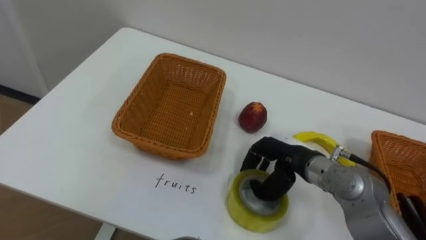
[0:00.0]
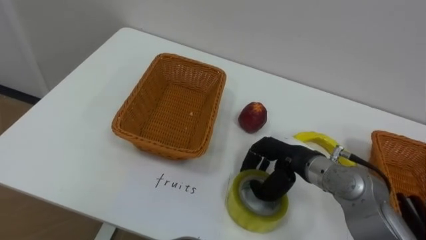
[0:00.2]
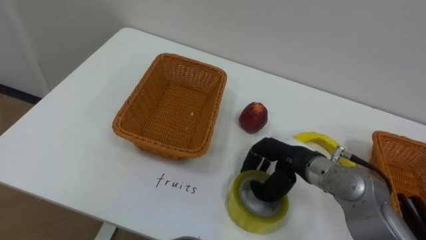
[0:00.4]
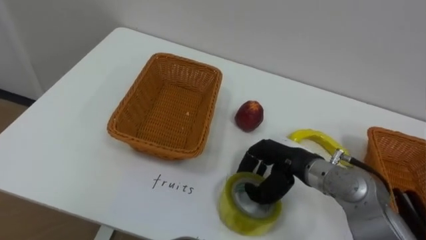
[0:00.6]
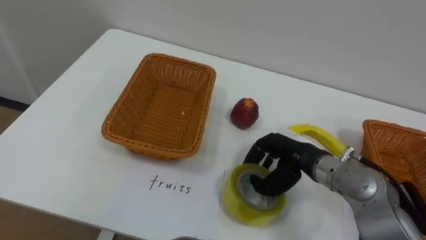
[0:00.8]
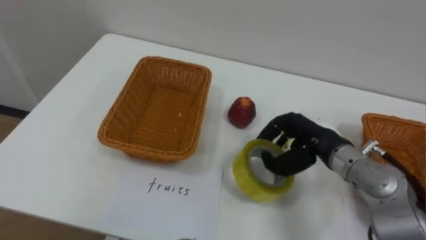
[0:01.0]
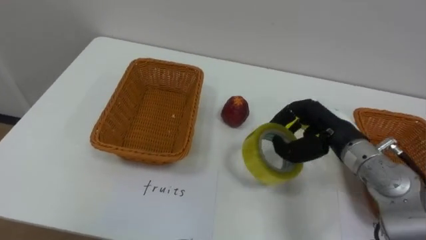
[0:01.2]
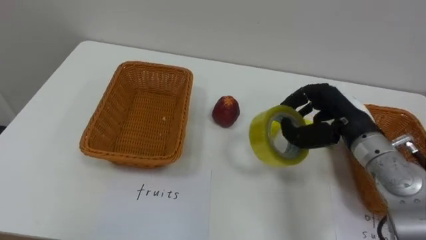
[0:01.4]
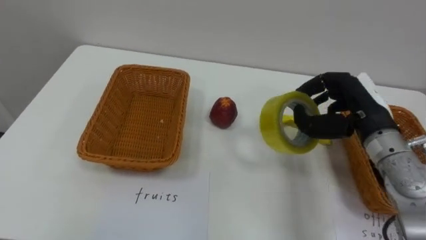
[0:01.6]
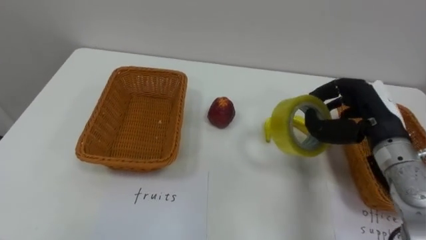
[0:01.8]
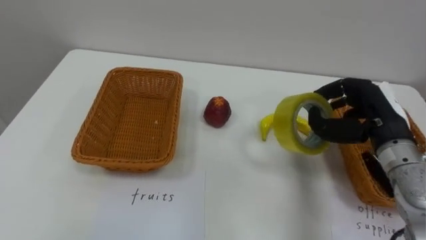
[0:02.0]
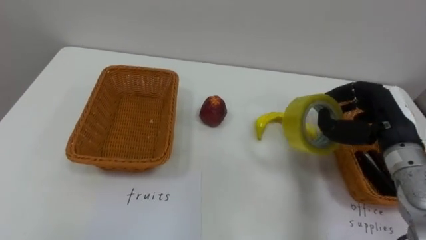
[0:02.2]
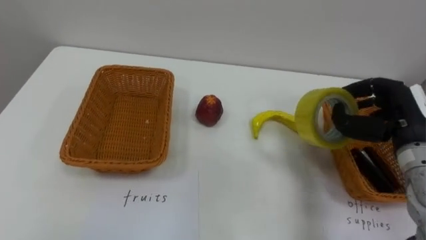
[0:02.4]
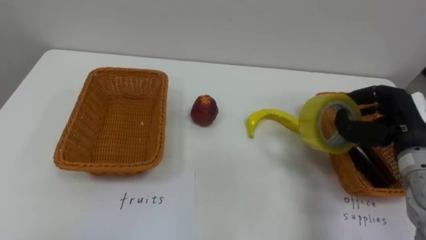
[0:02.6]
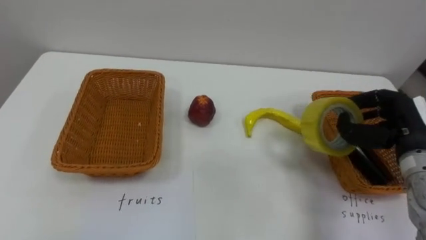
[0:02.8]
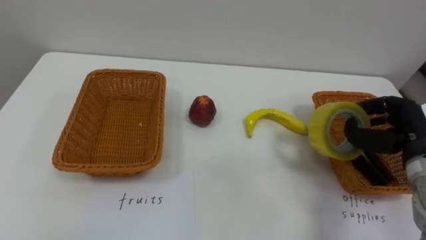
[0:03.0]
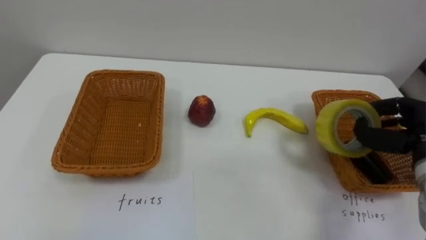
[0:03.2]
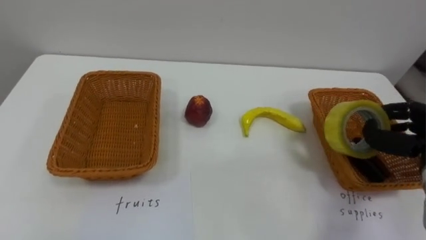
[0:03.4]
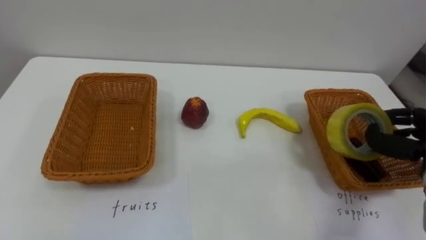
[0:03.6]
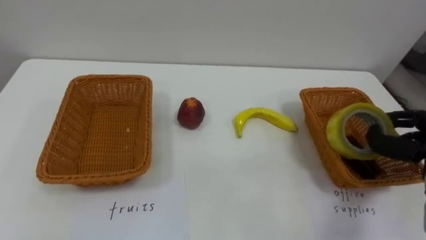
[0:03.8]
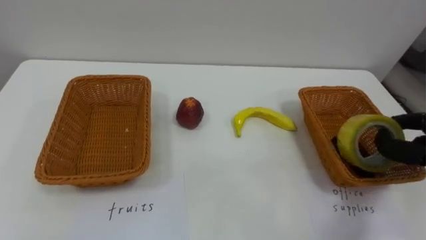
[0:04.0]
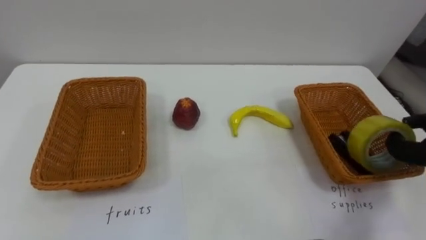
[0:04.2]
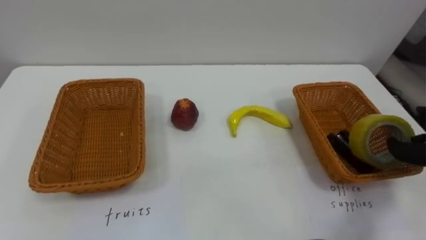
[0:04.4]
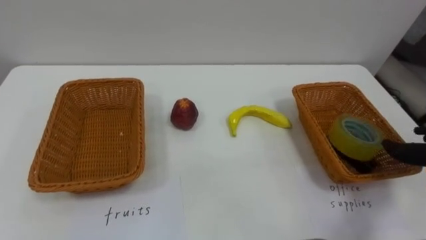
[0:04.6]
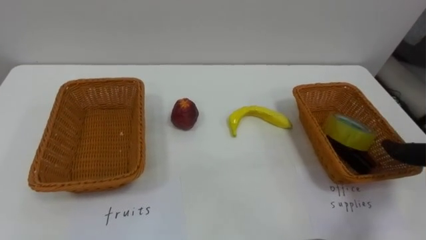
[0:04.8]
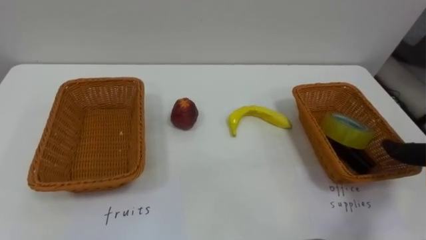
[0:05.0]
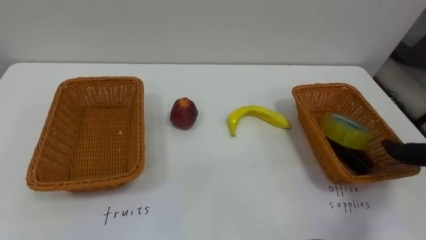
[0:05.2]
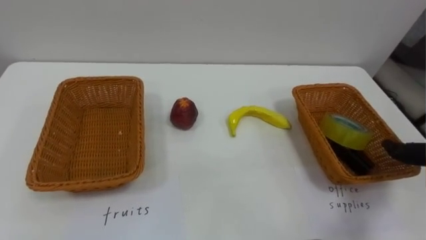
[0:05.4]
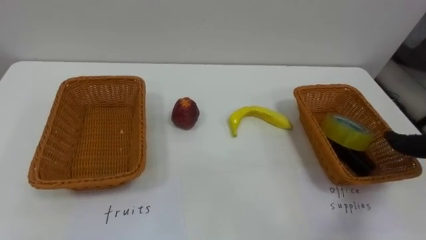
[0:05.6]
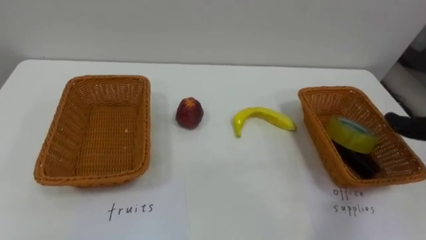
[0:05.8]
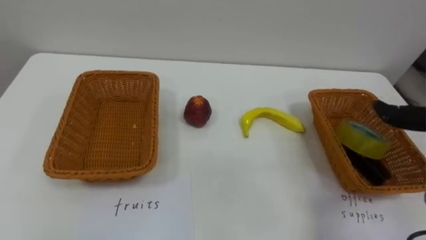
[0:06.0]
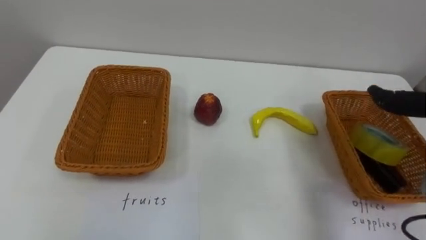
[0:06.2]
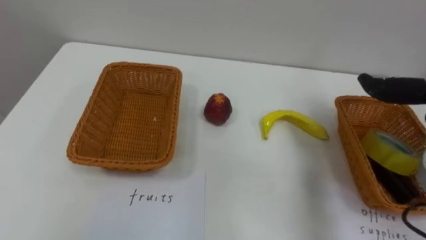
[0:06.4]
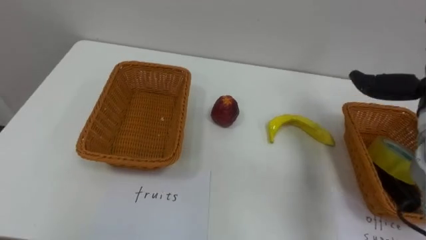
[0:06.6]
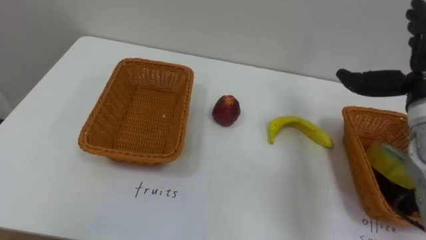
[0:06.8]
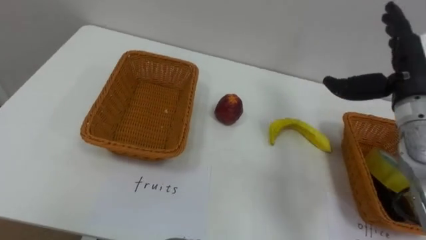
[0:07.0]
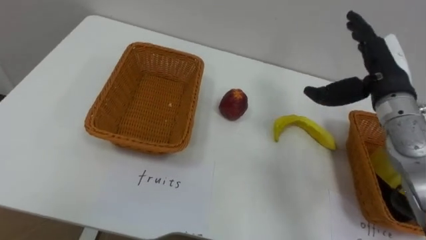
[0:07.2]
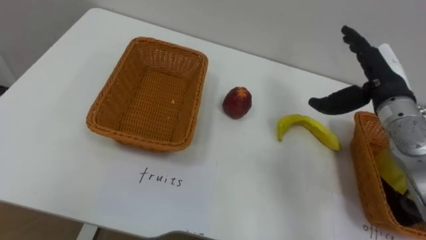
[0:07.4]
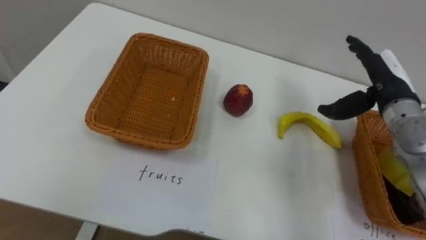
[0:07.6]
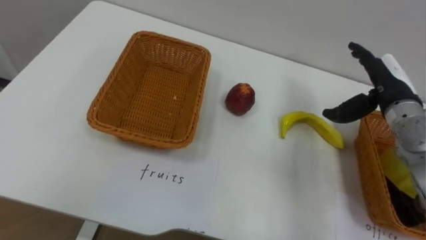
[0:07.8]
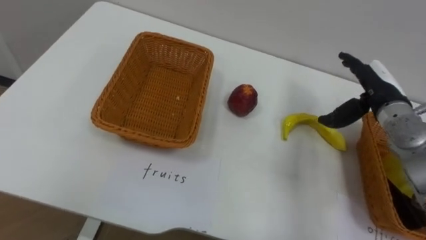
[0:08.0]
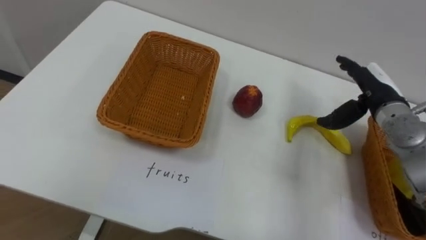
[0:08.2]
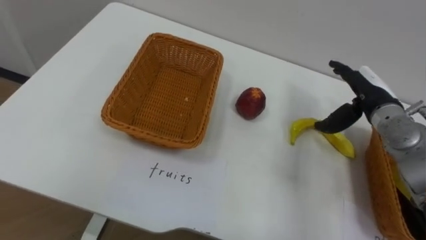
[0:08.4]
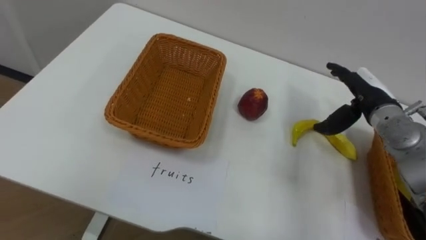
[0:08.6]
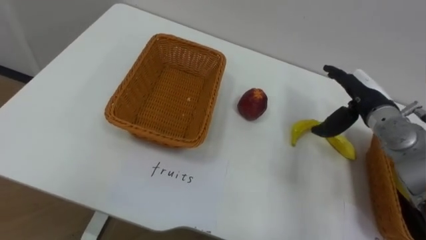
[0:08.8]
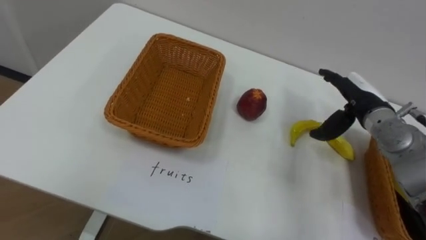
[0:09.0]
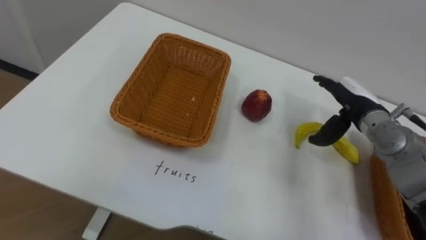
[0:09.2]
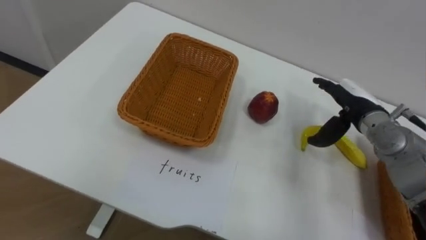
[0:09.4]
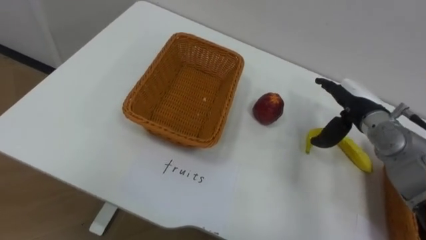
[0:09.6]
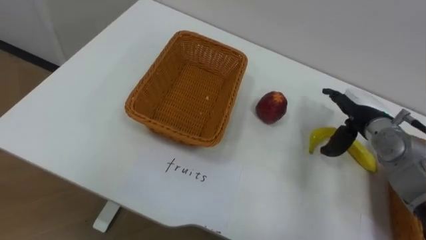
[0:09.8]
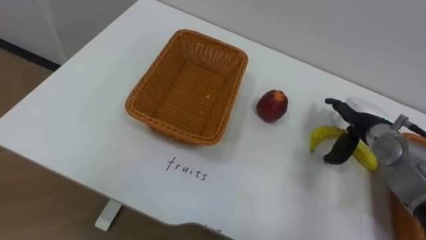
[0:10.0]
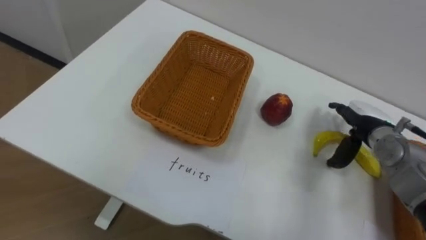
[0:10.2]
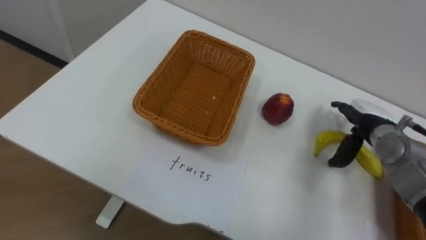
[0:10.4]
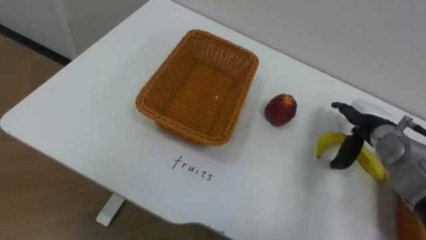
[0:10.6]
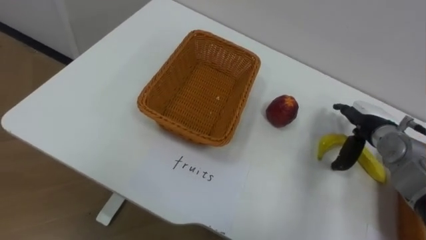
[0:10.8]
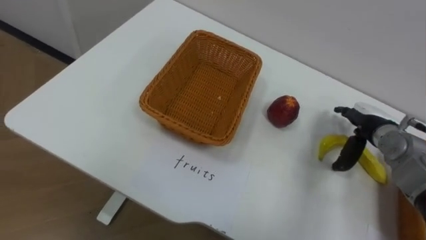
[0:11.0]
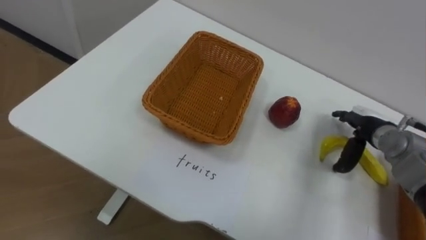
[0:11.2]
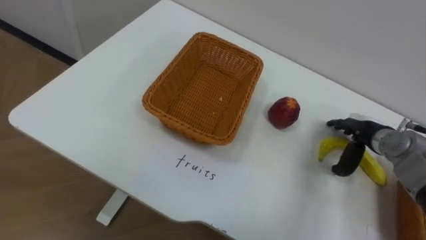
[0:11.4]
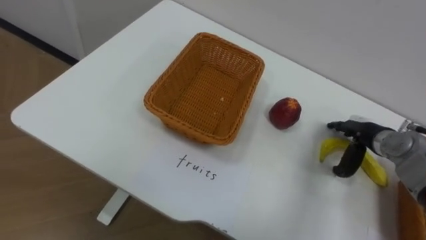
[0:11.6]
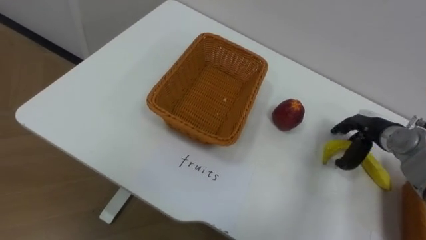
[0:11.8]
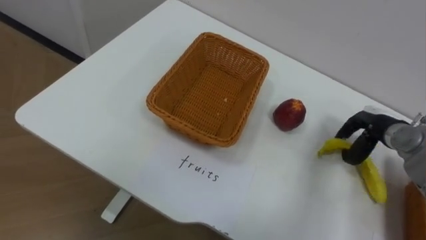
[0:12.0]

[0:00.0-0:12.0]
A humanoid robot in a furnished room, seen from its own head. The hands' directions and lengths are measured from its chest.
Task of the whole recording: Separate the items on the table and place them into the two baskets.
0:00.0 to 0:01.6: The right hand moves to the right and upward, roughly 15 cm.
0:01.6 to 0:03.0: The right hand travels to the right by about 10 cm.
0:07.6 to 0:09.0: The right hand shifts by some 5 cm.
0:09.0 to 0:10.4: The right hand travels downward by about 5 cm.
0:10.4 to 0:12.0: The right hand closes its fingers.

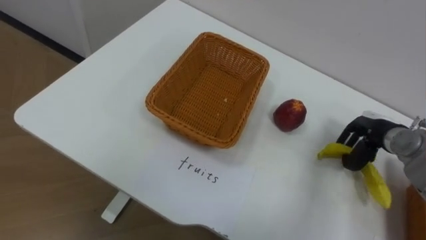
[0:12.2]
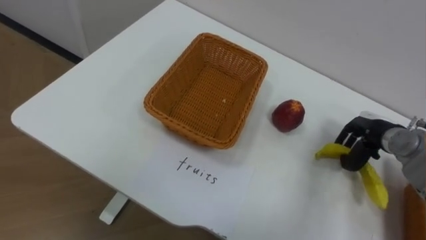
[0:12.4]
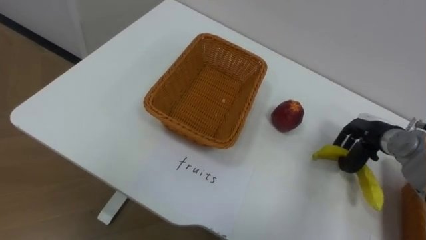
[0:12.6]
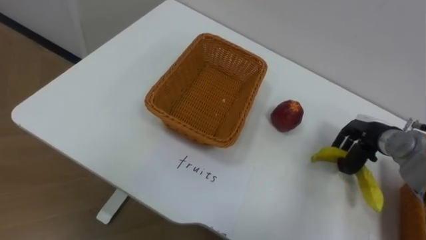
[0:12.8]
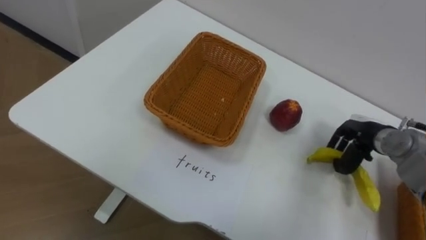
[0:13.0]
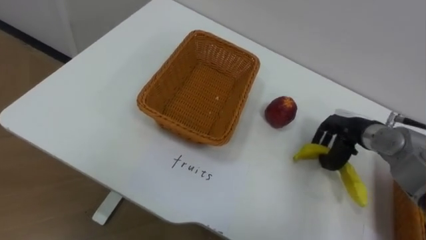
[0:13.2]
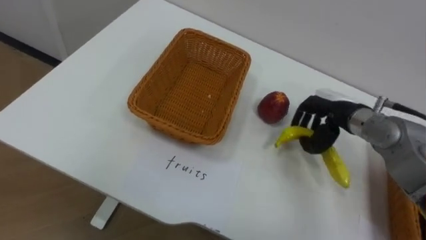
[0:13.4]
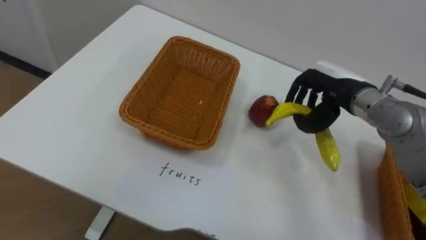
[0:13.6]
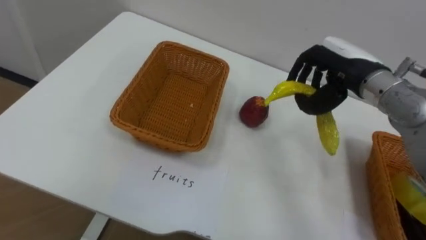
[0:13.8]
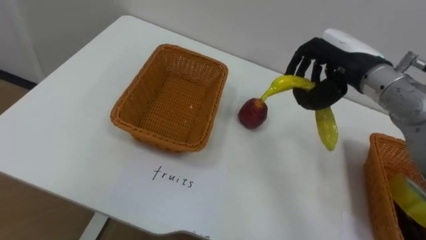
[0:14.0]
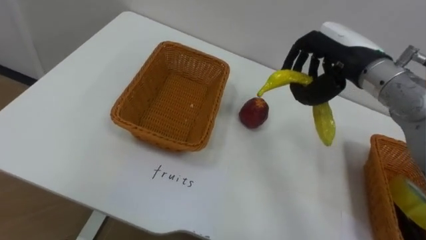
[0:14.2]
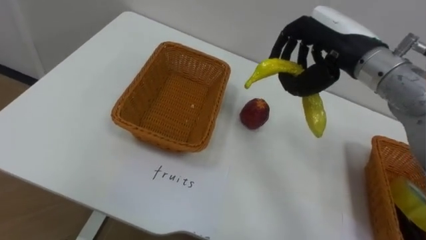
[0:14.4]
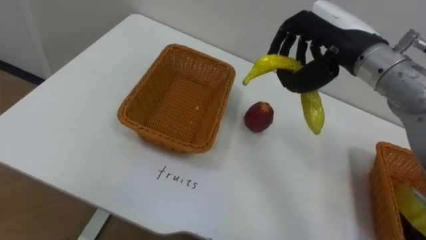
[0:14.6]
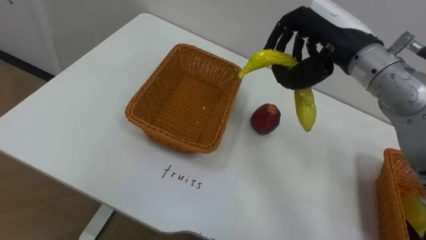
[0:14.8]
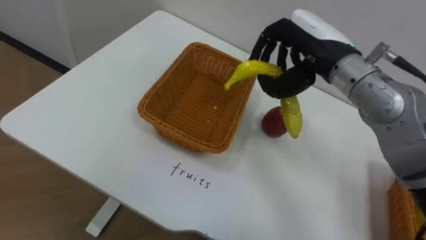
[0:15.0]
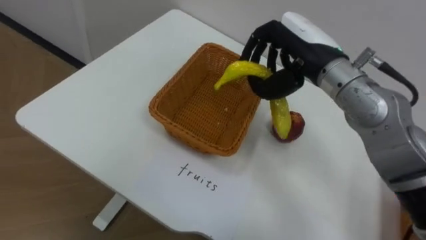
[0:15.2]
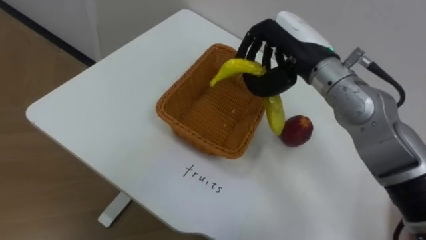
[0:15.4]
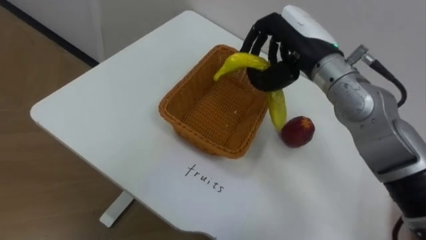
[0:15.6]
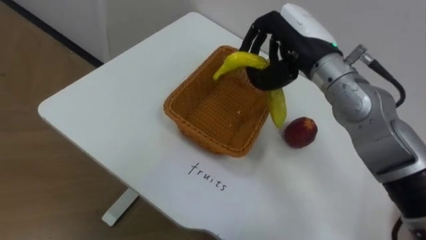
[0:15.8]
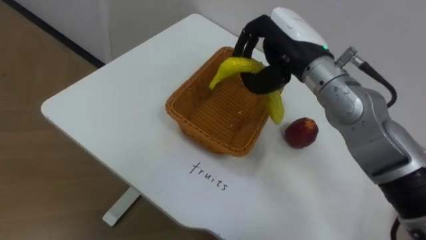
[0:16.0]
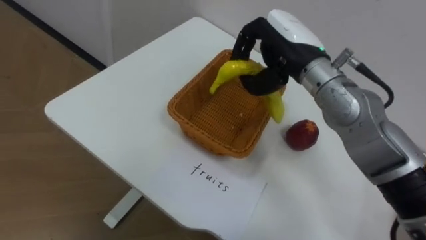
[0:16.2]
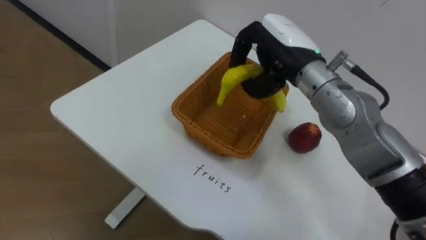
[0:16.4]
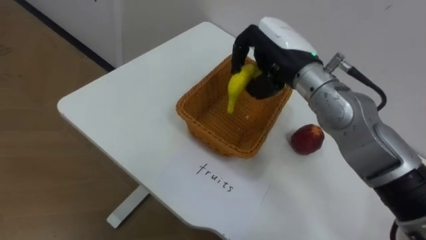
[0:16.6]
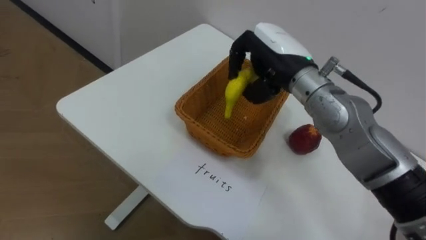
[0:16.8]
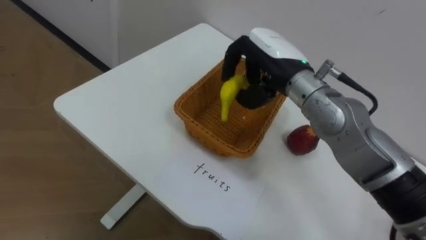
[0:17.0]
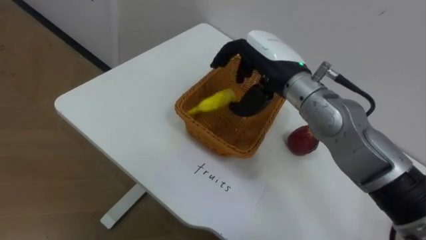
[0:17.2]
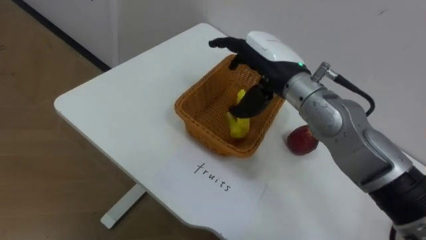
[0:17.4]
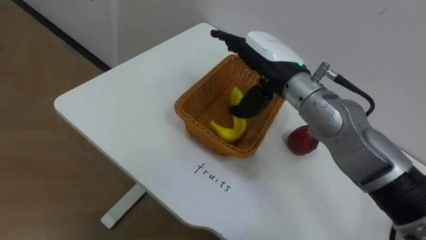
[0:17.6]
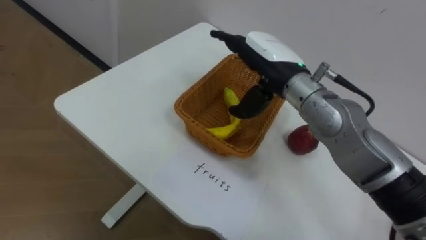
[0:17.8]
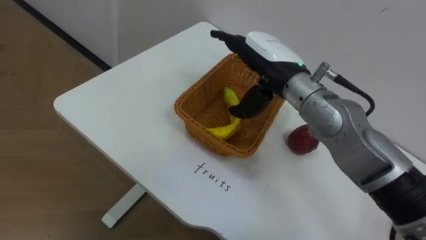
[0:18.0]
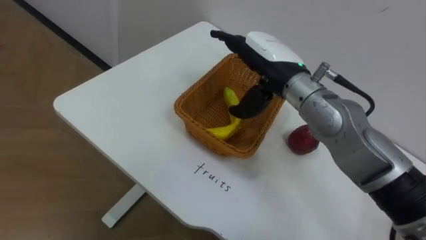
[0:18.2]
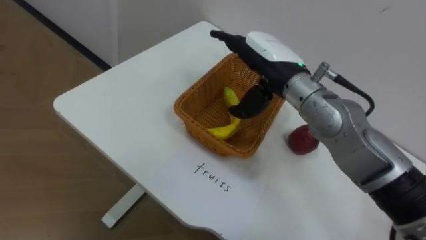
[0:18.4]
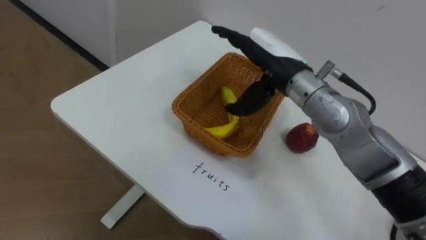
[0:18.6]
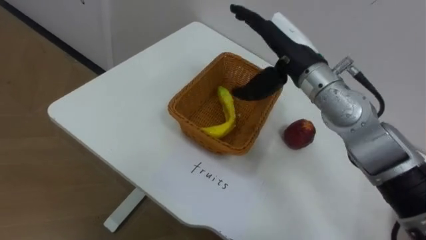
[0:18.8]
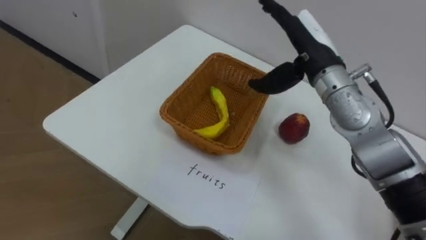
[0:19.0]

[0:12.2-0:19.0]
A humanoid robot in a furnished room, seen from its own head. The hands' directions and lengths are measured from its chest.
Task of the whole recording: Separate the items on the table and place them into the two baskets.
0:12.2 to 0:13.6: The right hand moves to the left and upward, about 15 cm.
0:13.6 to 0:15.0: The right hand moves upward and to the left, approximately 10 cm.
0:16.2 to 0:17.6: The right hand opens up.
0:17.6 to 0:19.0: The right hand heads to the right, covering about 5 cm.
